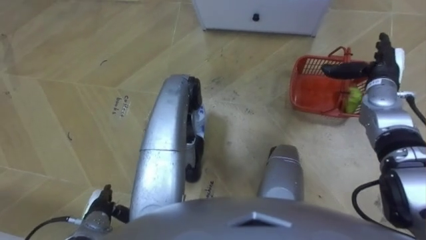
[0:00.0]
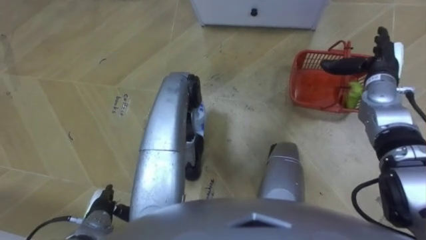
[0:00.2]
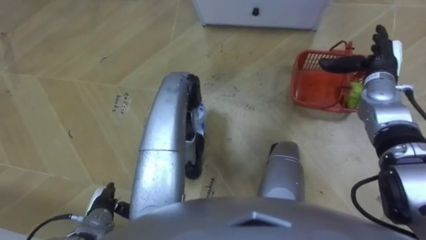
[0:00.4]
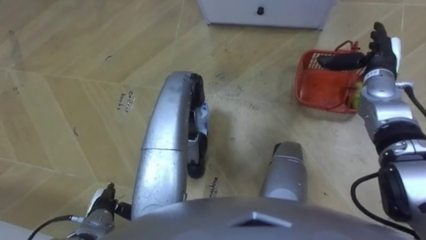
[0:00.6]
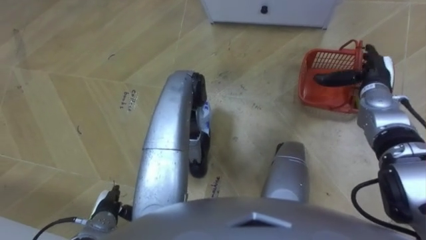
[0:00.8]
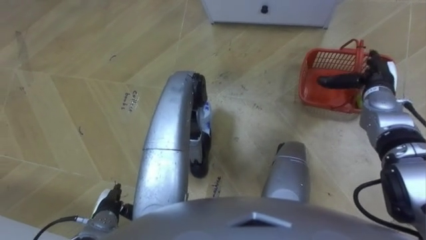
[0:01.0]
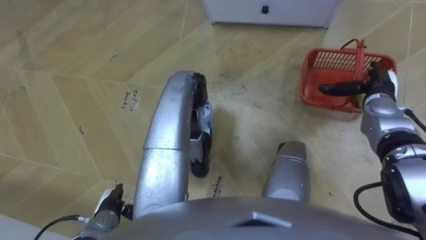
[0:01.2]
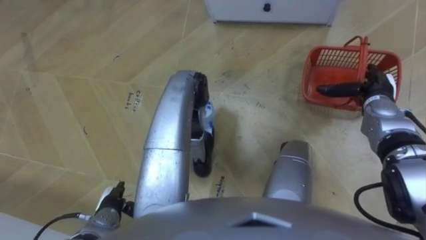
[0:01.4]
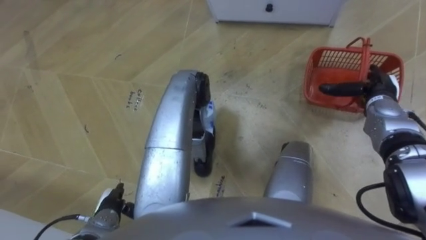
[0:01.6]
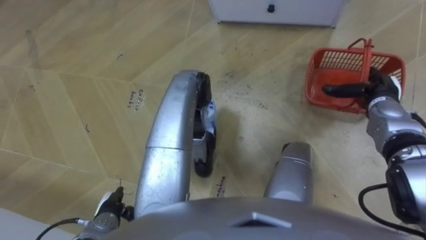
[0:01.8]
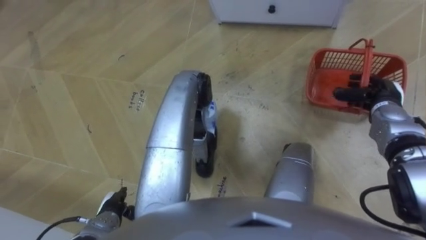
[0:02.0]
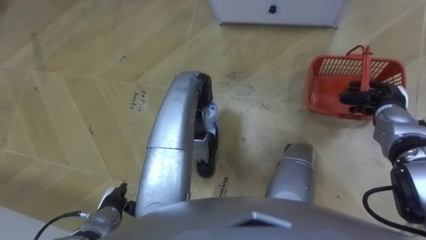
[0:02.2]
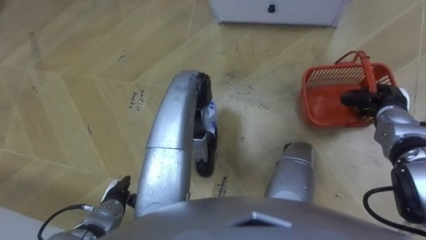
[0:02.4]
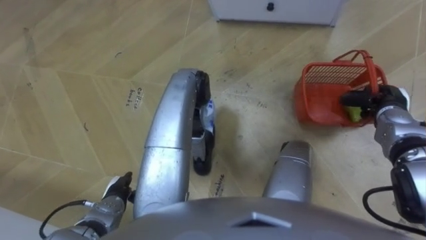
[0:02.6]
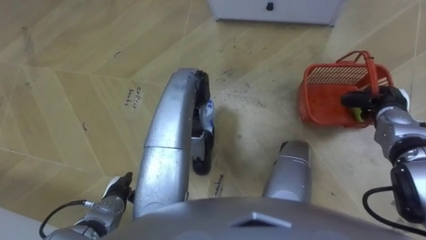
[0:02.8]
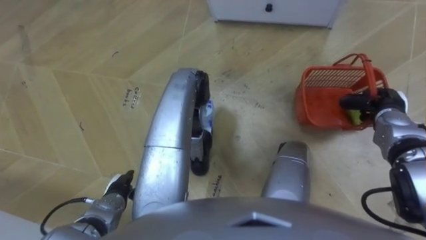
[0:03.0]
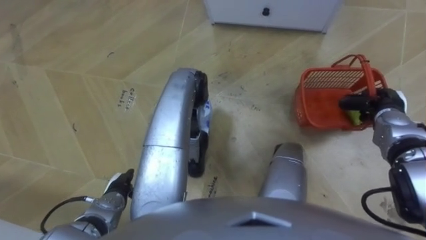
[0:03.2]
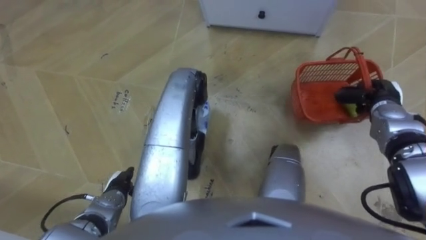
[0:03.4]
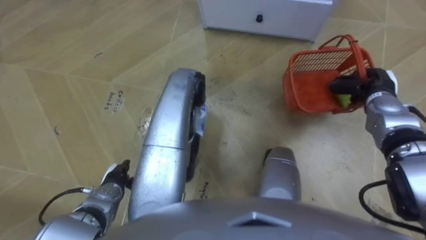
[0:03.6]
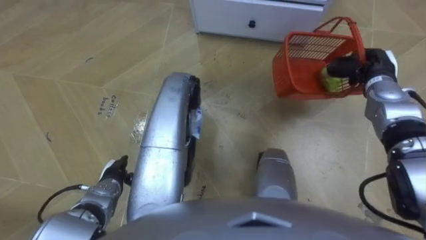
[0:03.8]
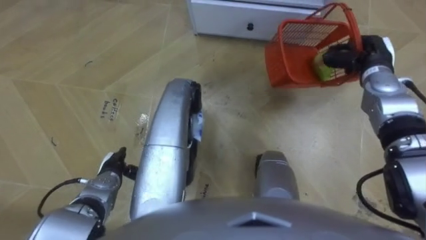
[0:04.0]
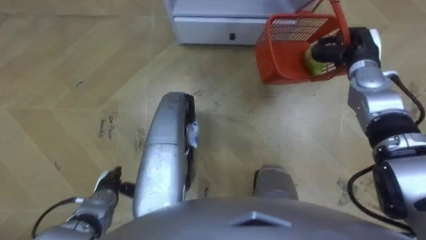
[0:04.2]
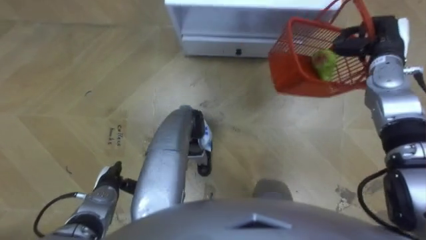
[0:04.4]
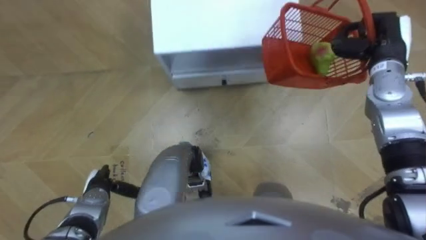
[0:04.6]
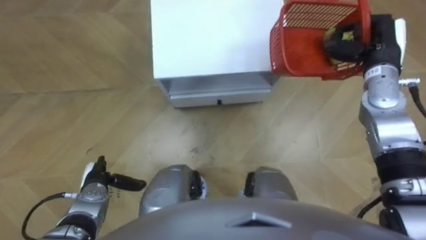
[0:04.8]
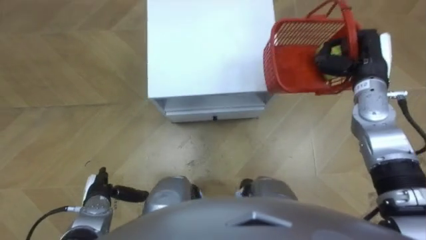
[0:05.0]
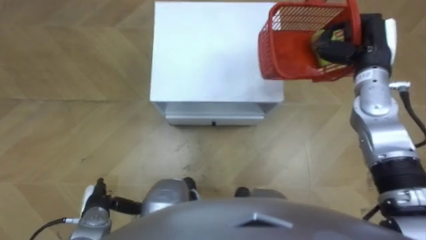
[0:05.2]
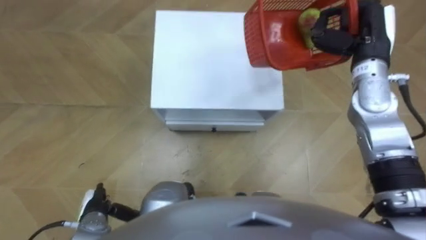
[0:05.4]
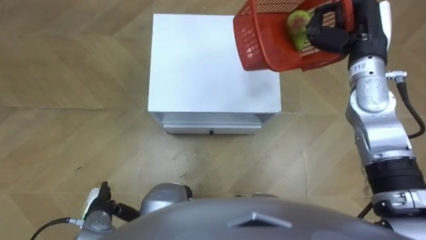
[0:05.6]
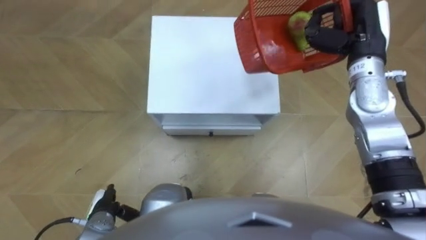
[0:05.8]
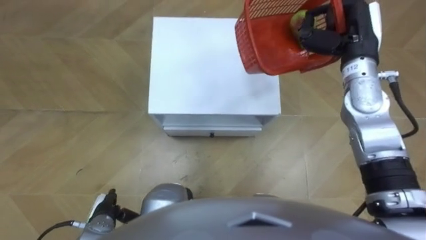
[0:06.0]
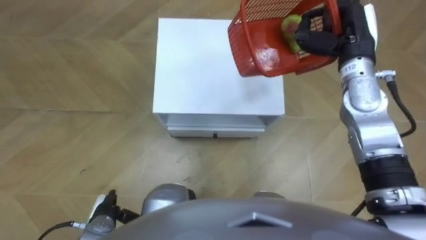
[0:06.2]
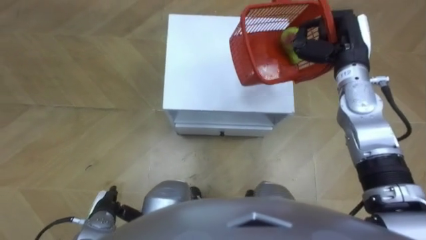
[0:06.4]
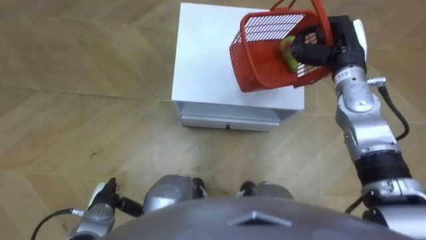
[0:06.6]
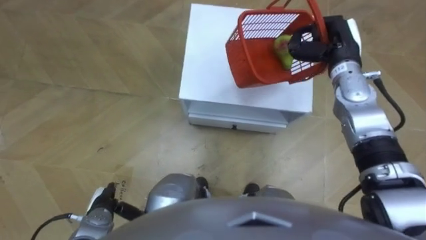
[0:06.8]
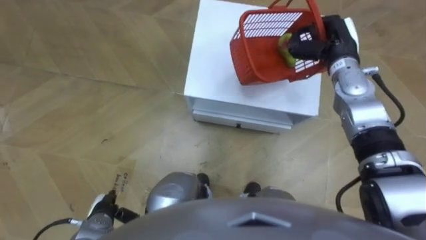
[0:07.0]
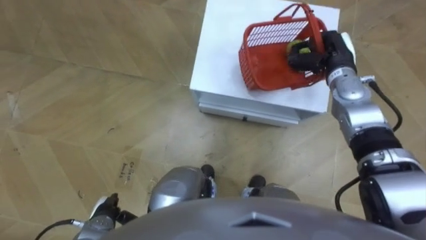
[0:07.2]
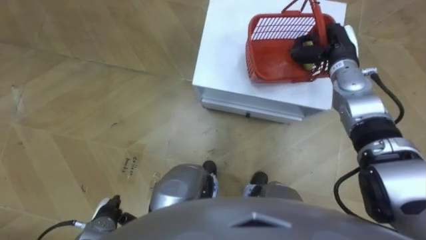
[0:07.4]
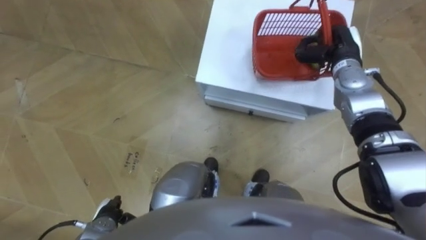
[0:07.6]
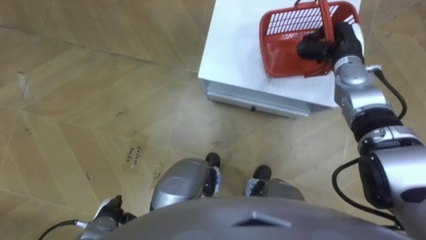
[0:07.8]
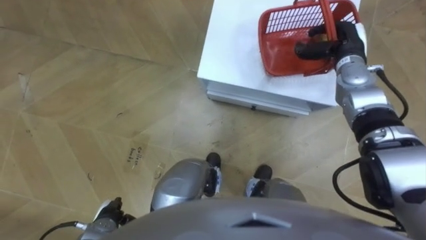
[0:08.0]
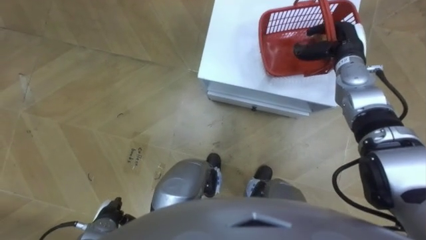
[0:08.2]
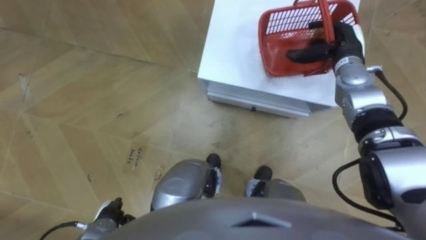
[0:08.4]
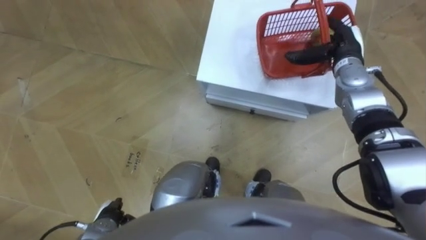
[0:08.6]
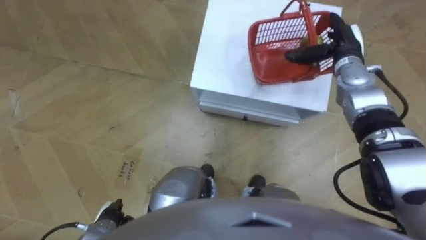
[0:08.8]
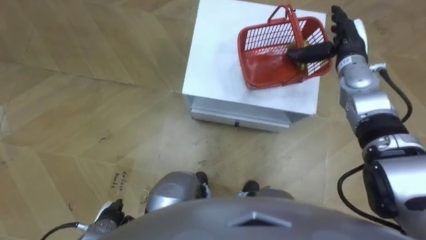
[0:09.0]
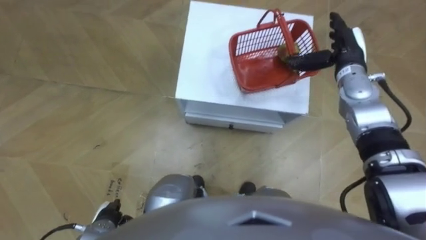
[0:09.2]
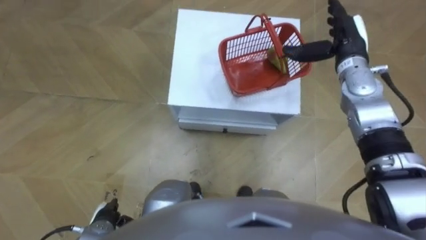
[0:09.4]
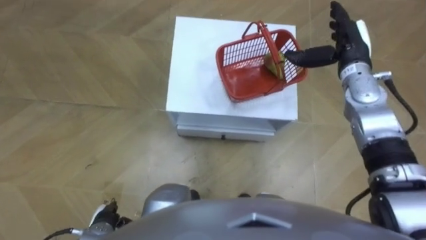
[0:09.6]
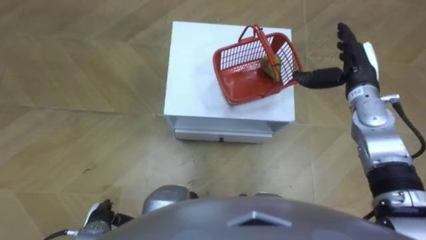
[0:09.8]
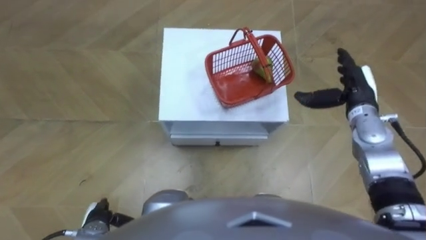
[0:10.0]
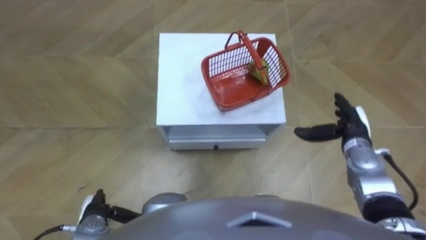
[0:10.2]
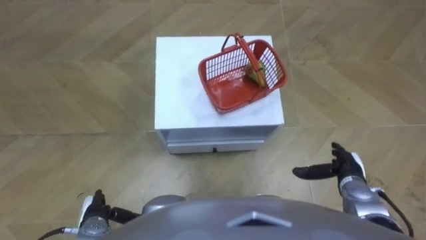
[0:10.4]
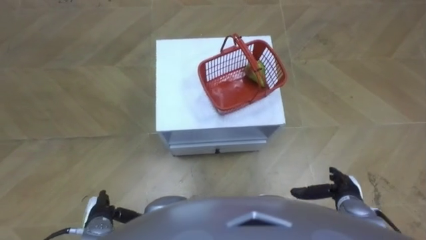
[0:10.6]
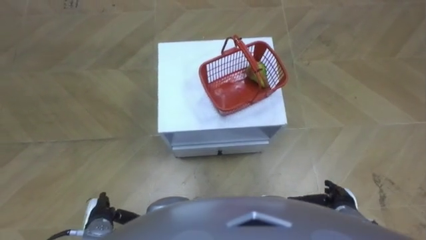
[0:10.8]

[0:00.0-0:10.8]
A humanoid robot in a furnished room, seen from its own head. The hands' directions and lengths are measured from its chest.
Task of the whole recording: Pick up the fruit basket from the floor and place it on the cabinet.
0:00.0 to 0:01.6: The right hand changes place by approximately 5 cm.
0:01.6 to 0:03.0: The right hand closes its fingers.
0:03.0 to 0:04.6: The right hand heads upward and forward, covering approximately 15 cm.
0:04.6 to 0:06.2: The right hand travels to the left by approximately 5 cm. The left hand goes roughly 5 cm backward.
0:06.2 to 0:07.8: The right hand shifts approximately 5 cm downward.
0:07.8 to 0:09.2: The right hand opens up.
0:09.2 to 0:10.8: The right hand goes roughly 35 cm backward and downward.

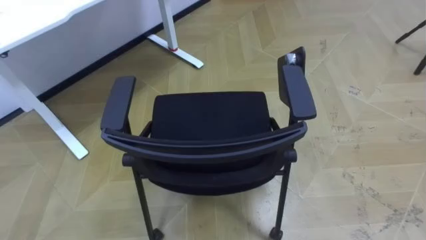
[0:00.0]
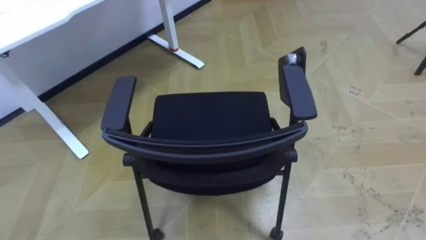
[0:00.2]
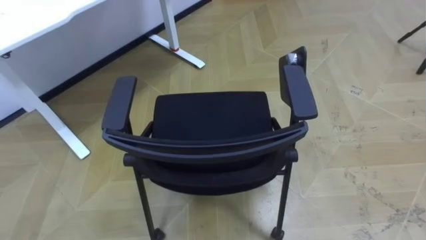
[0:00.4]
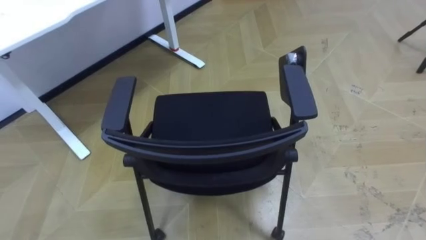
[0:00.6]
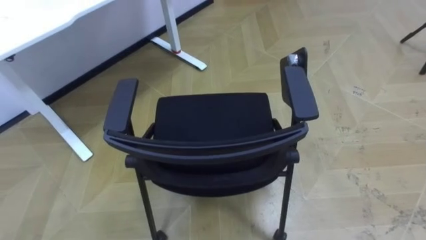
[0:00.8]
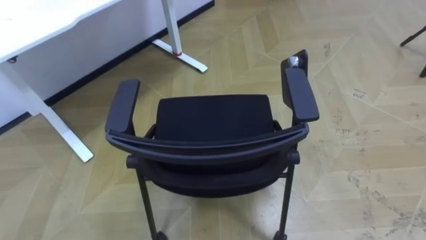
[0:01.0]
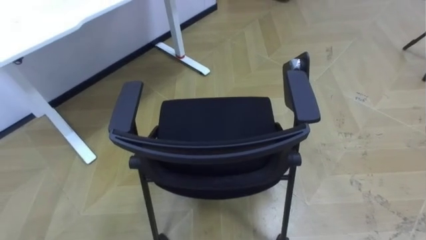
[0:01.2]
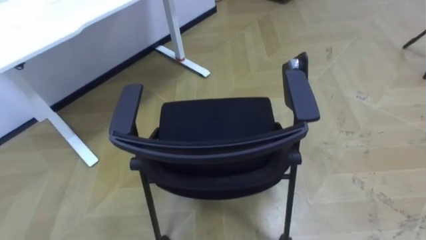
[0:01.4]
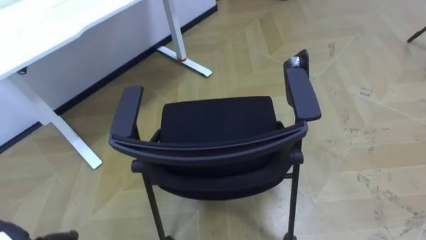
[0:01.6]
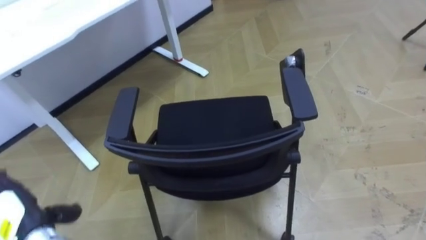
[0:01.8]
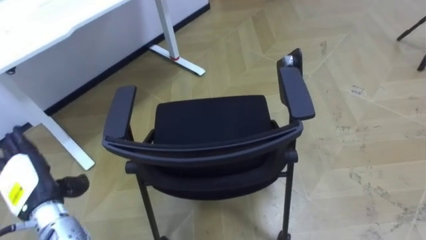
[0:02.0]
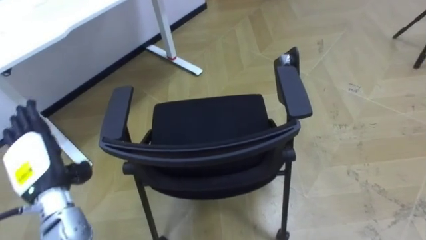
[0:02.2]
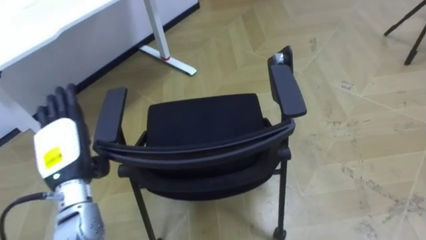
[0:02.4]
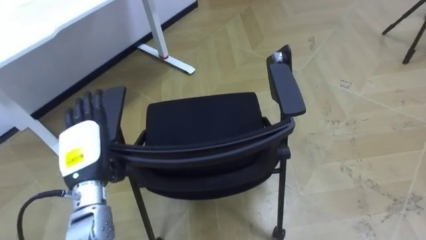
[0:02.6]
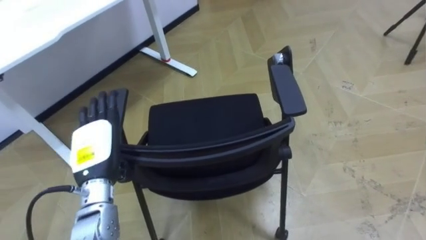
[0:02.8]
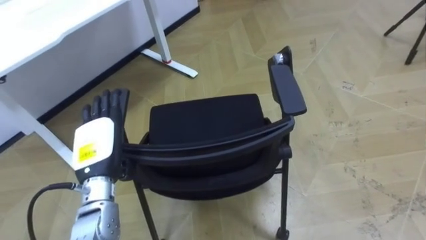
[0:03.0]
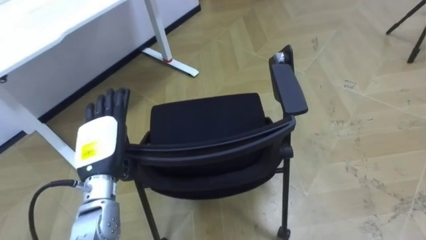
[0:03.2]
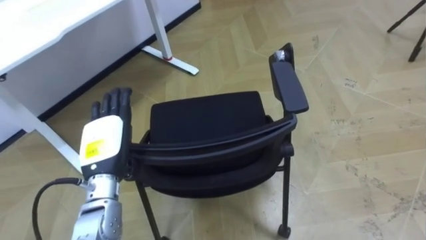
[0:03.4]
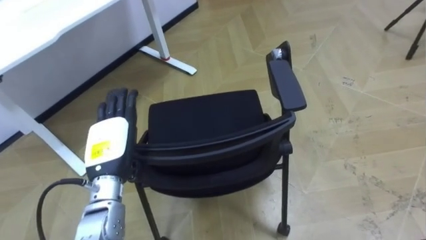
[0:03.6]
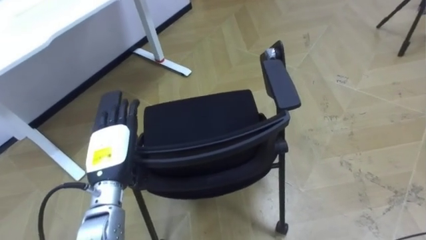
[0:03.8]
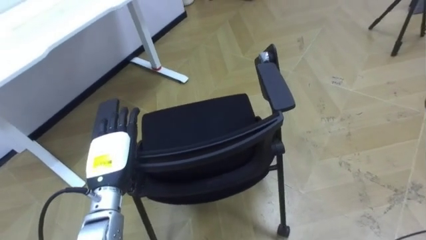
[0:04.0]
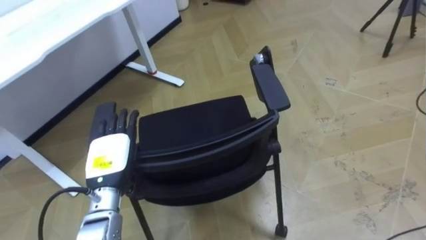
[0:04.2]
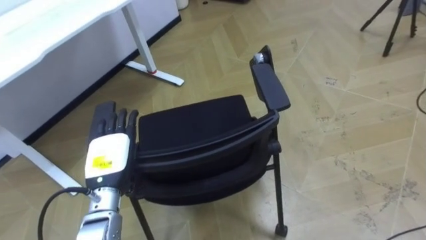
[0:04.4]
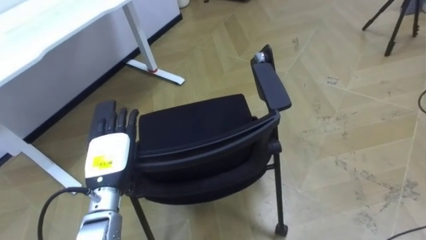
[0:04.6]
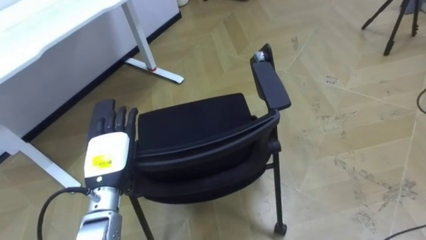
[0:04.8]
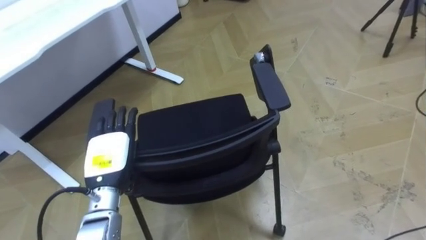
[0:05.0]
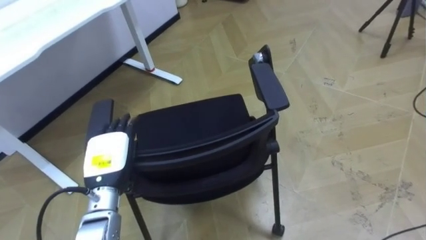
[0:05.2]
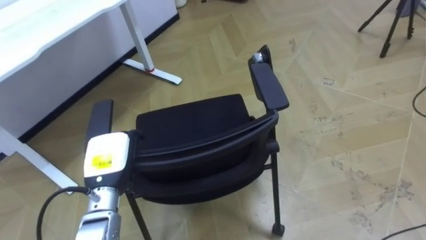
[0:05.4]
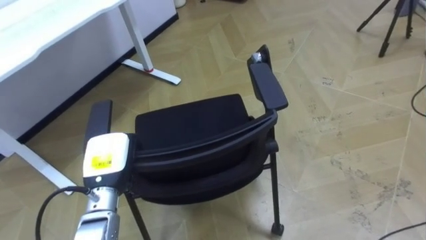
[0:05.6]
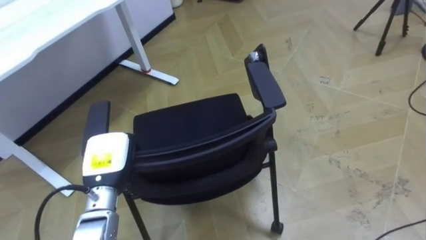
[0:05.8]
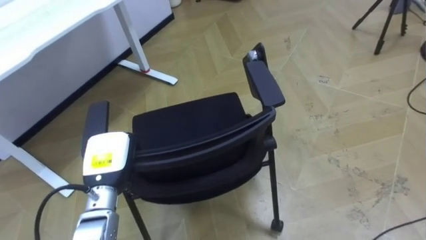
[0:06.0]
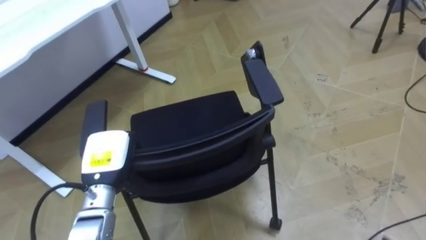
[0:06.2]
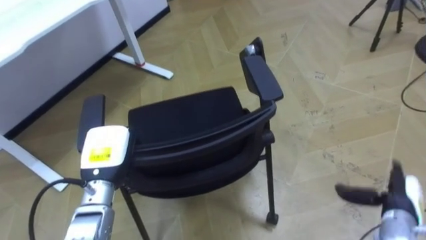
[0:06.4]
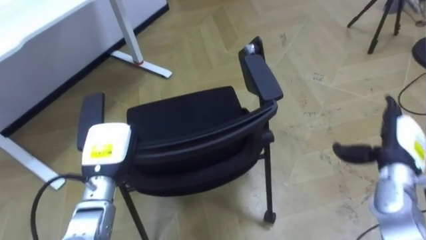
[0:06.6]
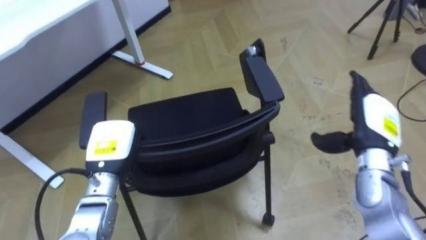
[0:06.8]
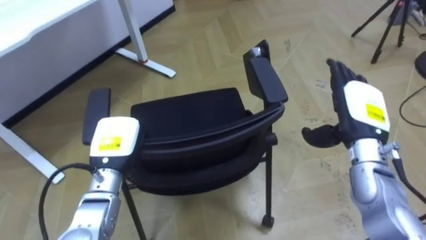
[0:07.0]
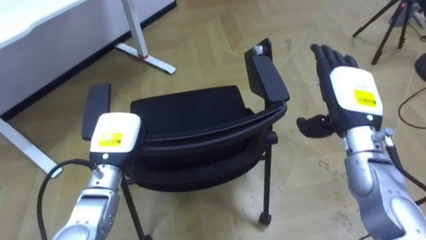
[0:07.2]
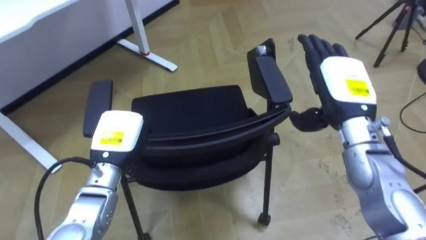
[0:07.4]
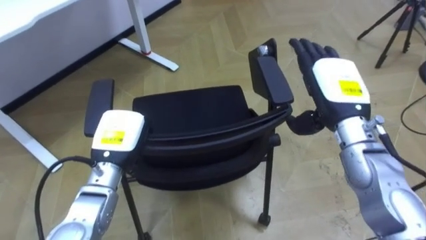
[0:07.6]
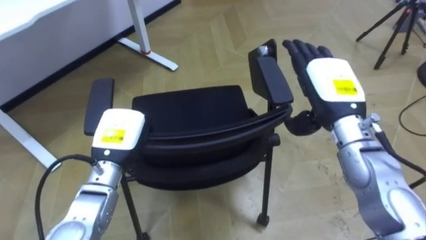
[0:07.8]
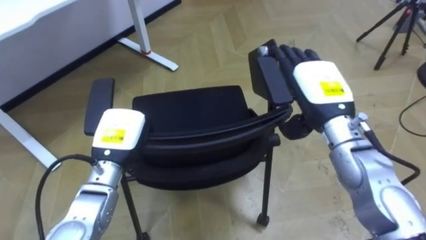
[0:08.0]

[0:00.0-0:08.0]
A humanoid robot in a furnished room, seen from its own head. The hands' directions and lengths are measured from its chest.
Task of the whole recording: Push the chair under the table.
0:04.8 to 0:06.4: The left hand closes up.
0:06.4 to 0:08.0: The right hand shifts about 30 cm upward, to the left and forward.
